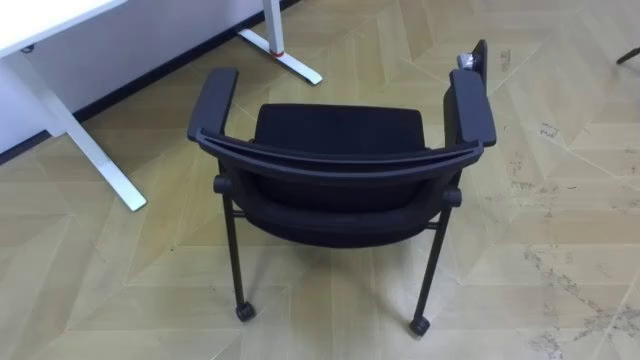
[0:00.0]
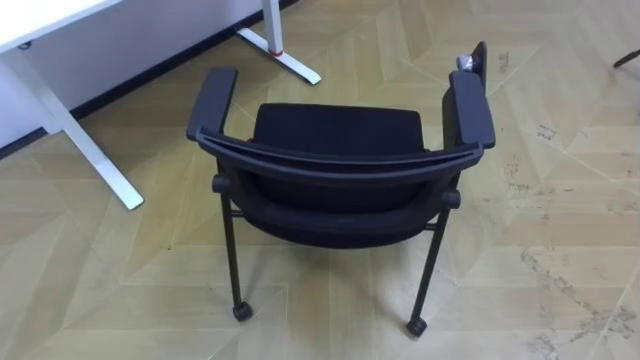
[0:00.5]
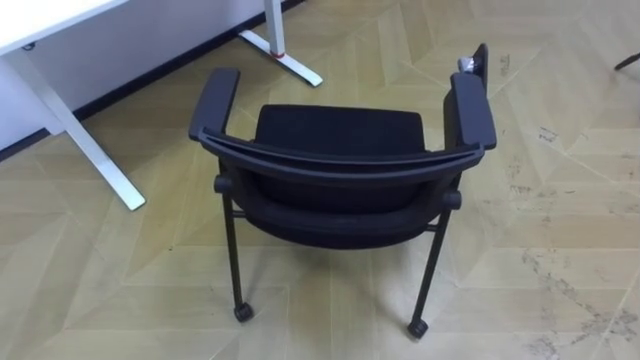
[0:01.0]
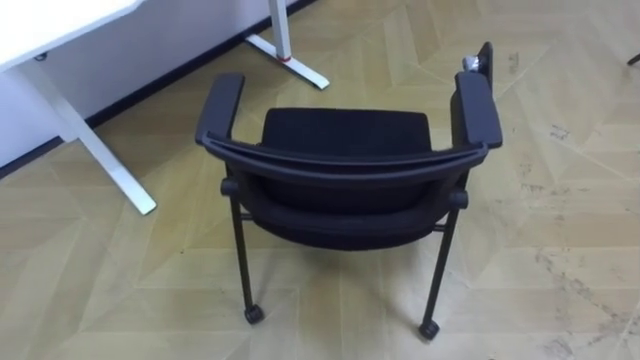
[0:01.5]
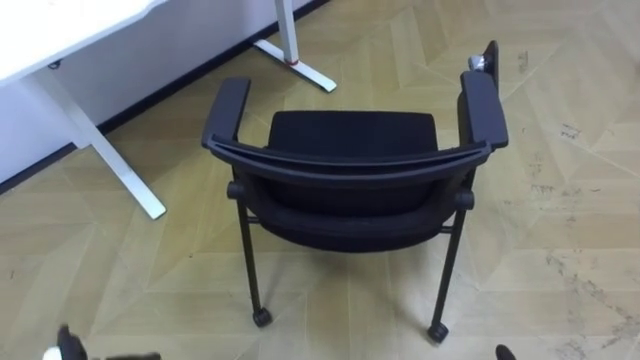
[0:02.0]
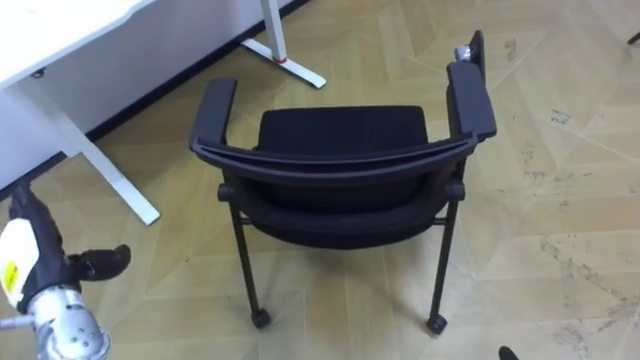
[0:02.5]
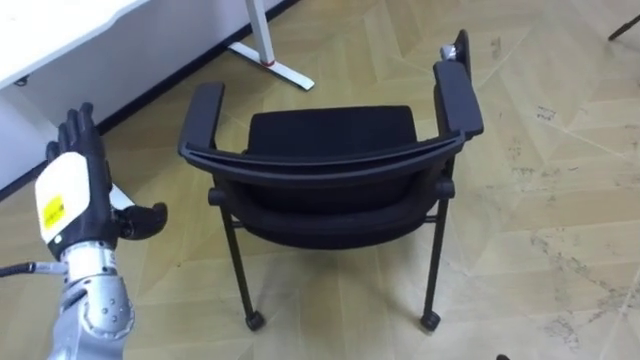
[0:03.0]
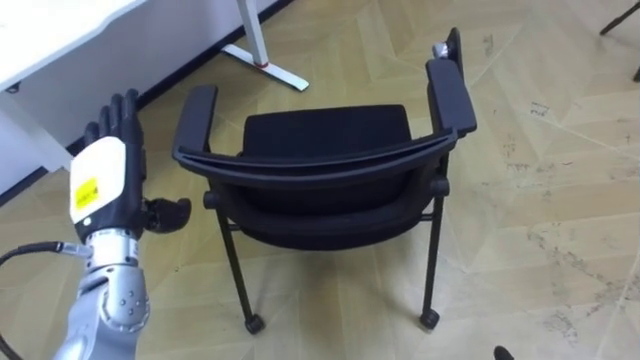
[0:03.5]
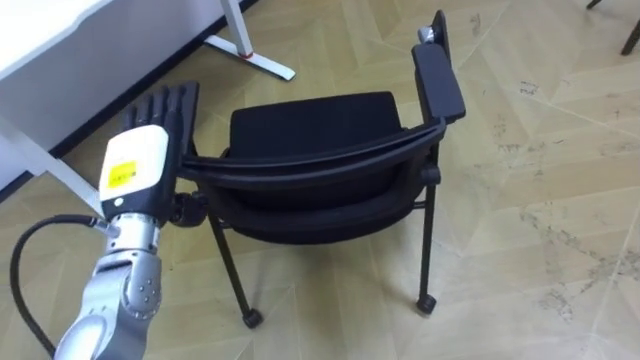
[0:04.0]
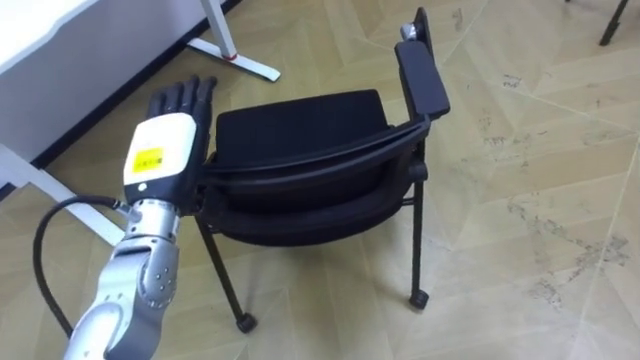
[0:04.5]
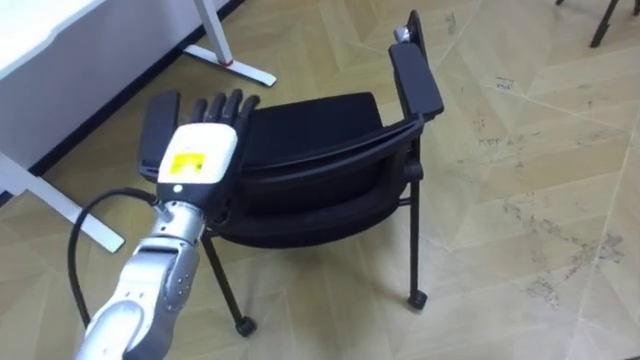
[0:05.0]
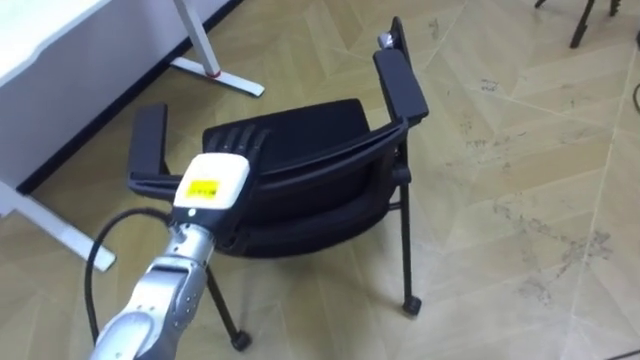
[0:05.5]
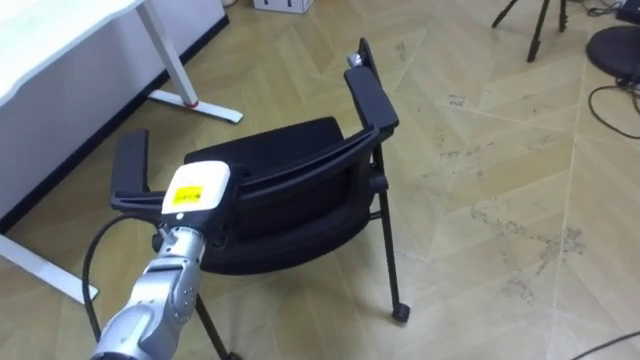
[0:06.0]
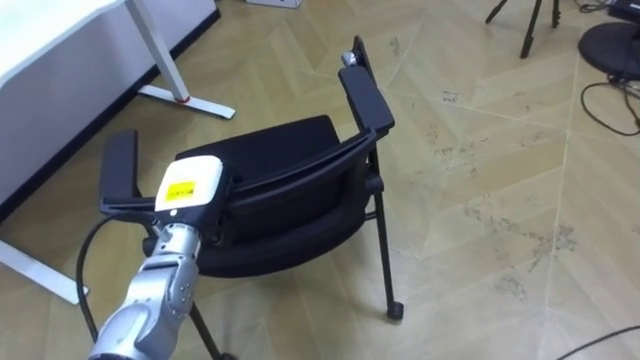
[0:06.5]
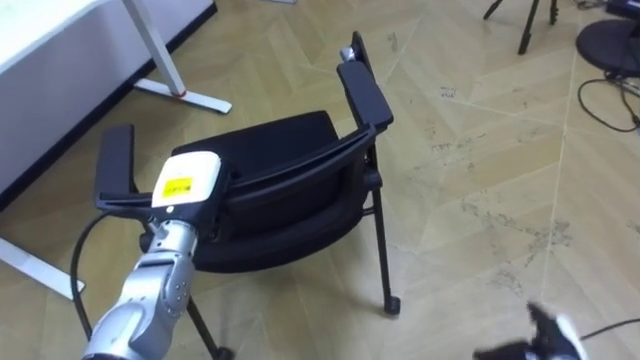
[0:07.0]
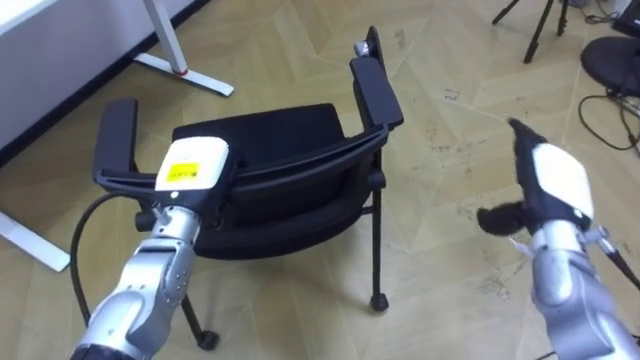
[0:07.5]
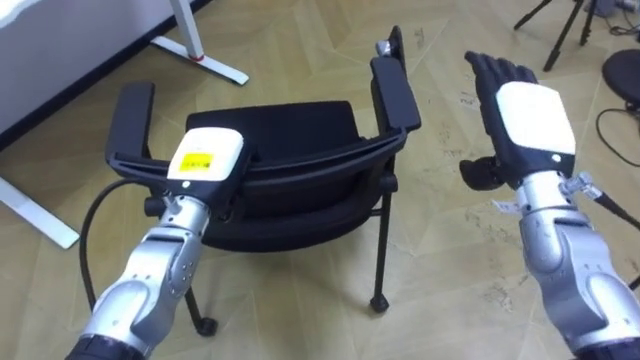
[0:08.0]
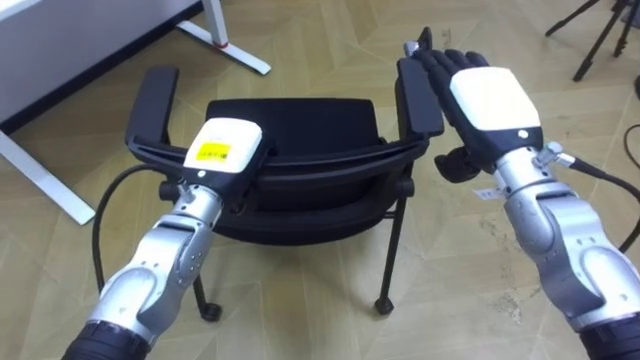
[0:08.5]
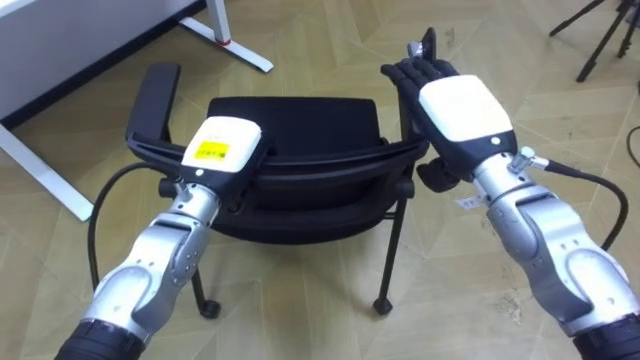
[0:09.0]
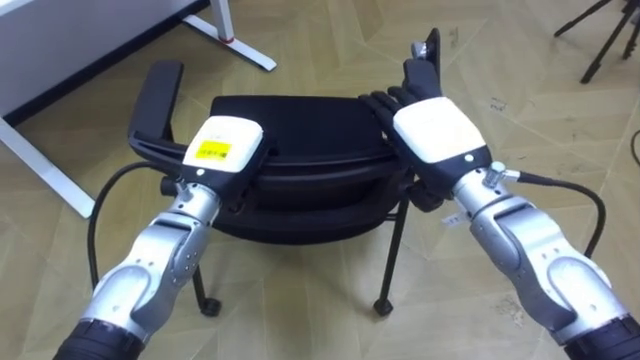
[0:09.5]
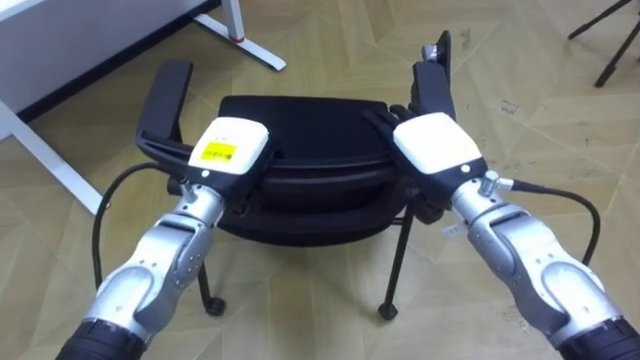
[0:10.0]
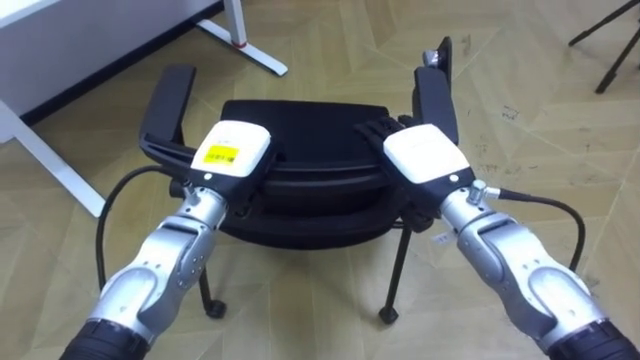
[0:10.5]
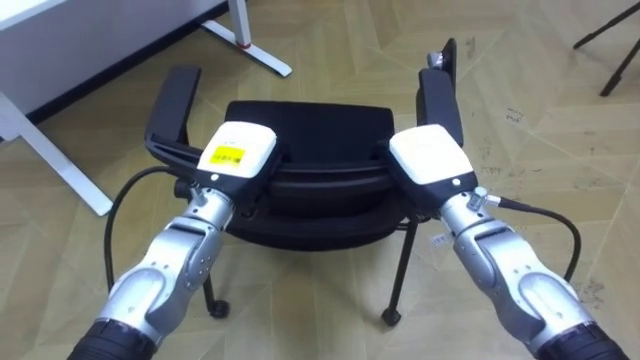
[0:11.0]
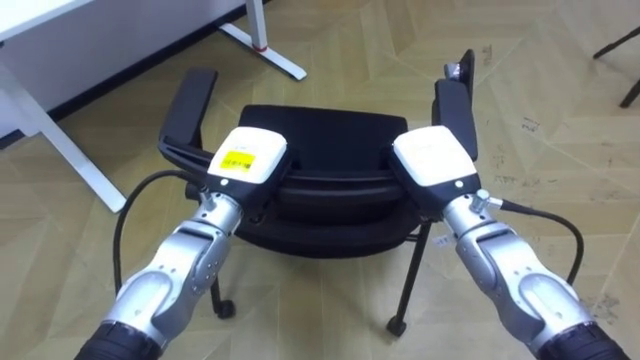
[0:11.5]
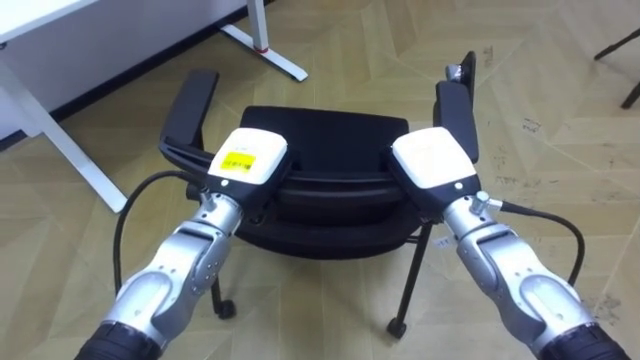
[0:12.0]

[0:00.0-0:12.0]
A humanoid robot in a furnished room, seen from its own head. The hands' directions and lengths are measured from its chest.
Task of the whole recording: Push the chair under the table.
0:04.0 to 0:06.0: The left hand moves downward and to the right, approximately 10 cm, and closes its fingers.
0:06.0 to 0:08.0: The left hand heads upward, covering approximately 5 cm.
0:08.0 to 0:10.0: The right hand moves to the left, roughly 10 cm.
0:10.0 to 0:12.0: The right hand closes up.

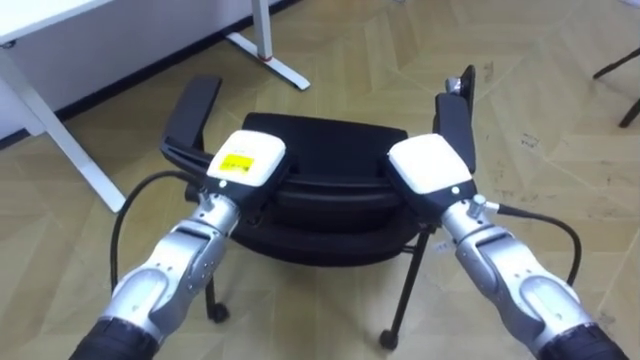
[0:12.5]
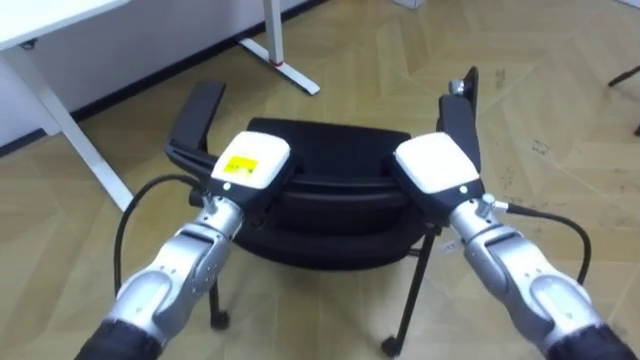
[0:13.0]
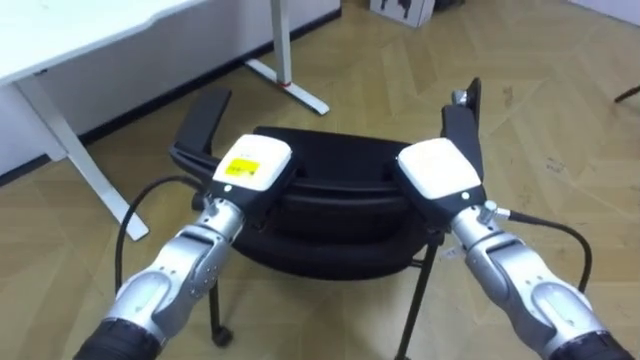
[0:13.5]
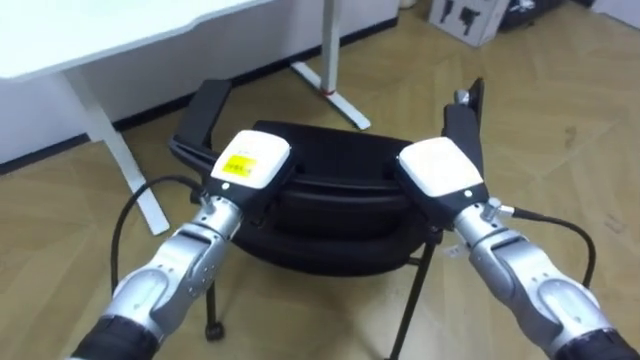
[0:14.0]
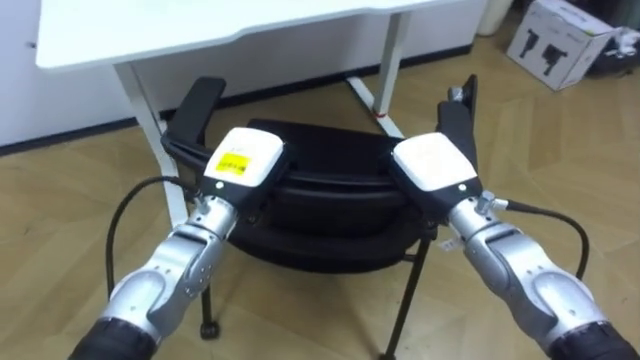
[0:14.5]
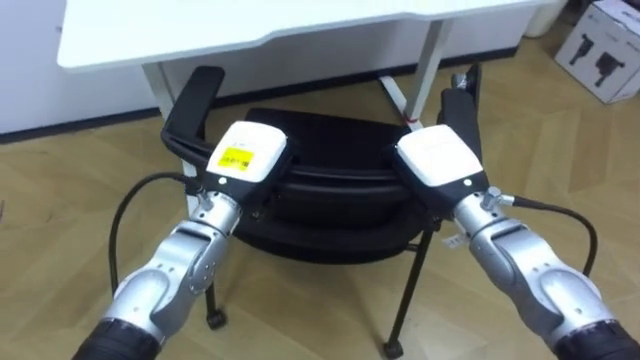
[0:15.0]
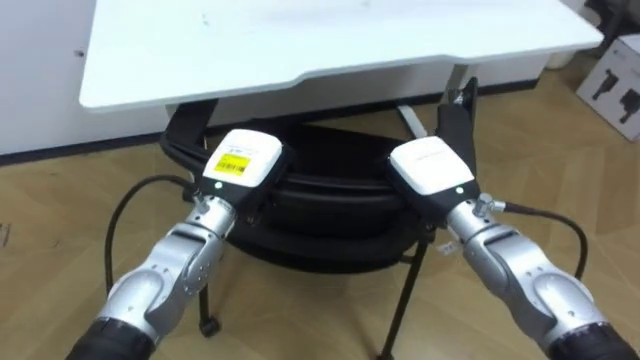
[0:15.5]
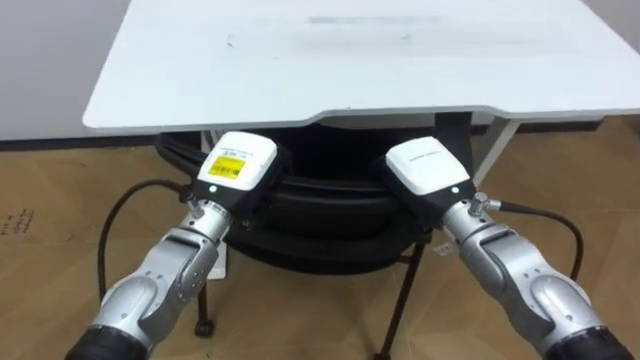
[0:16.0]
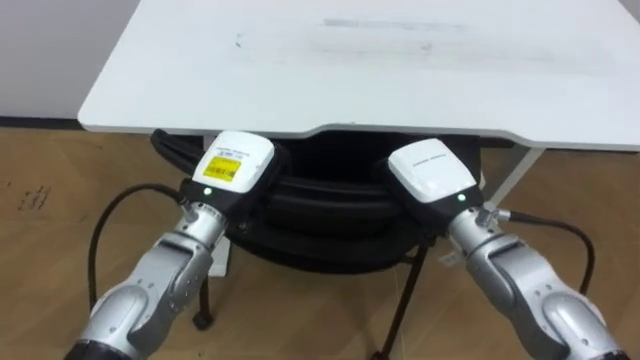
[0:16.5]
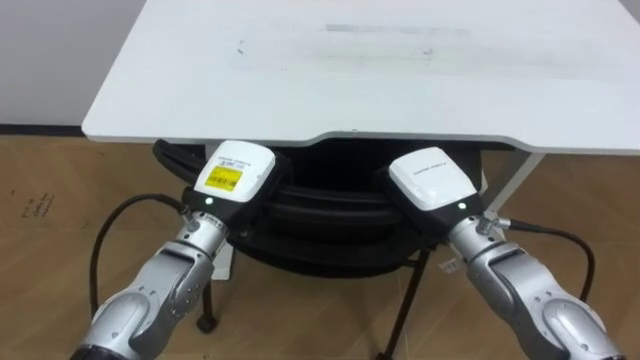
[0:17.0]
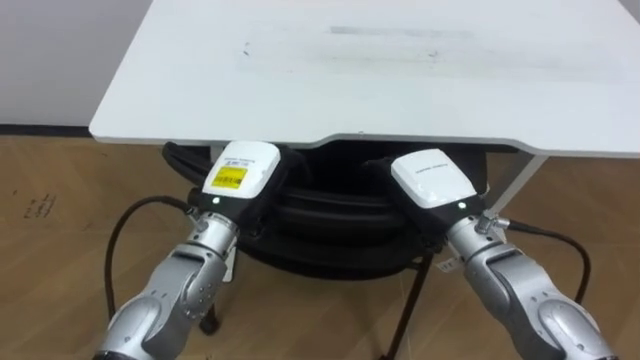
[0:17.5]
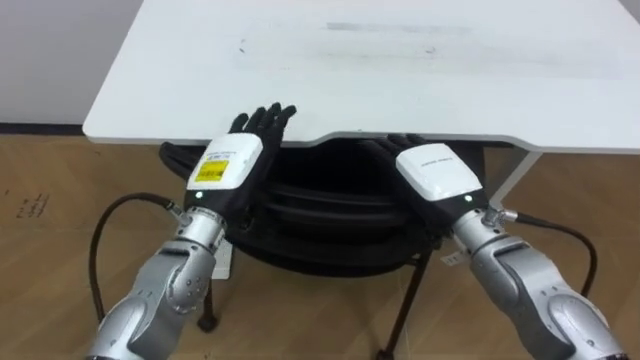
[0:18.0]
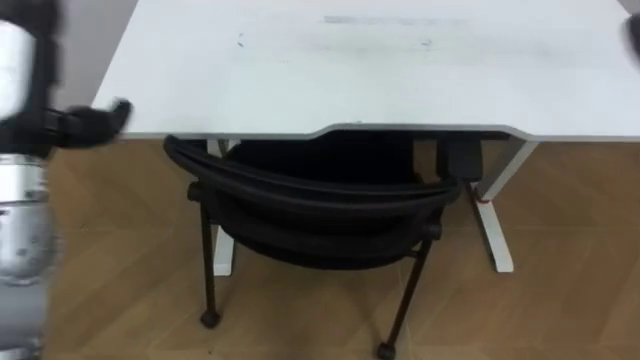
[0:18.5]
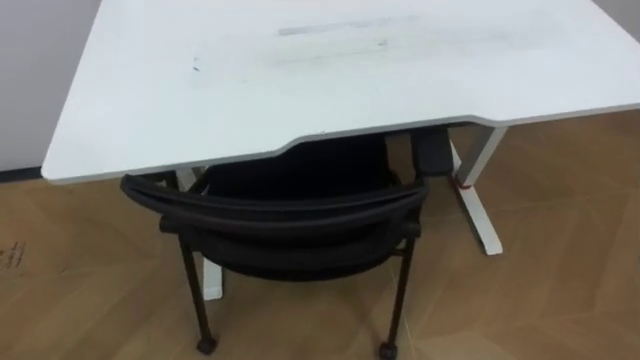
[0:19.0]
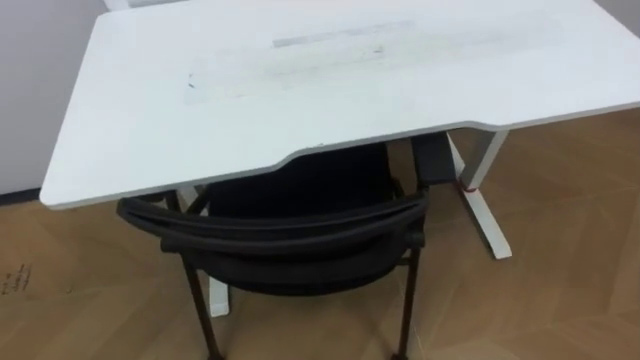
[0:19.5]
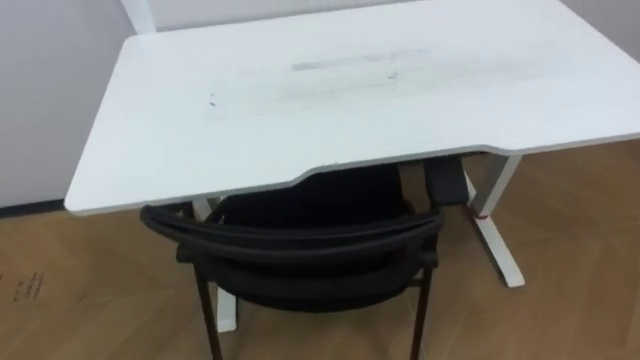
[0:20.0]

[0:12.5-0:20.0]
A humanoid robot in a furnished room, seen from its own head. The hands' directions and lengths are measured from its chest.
Task of the whole recording: Push the chair under the table.
0:12.5 to 0:14.5: The robot rotates roughly 20 degrees to its left.
0:14.5 to 0:16.5: The robot rotates roughly 25 degrees to its left.
0:16.5 to 0:18.0: The right hand opens, while the left hand opens up.
